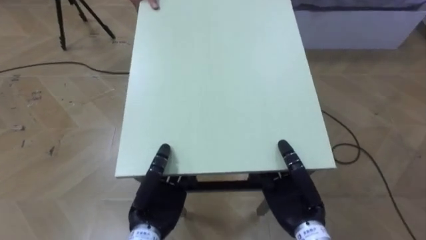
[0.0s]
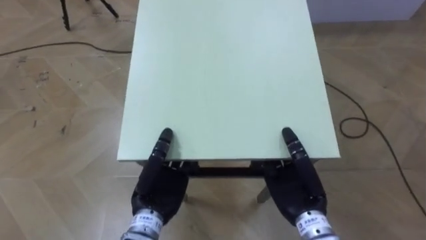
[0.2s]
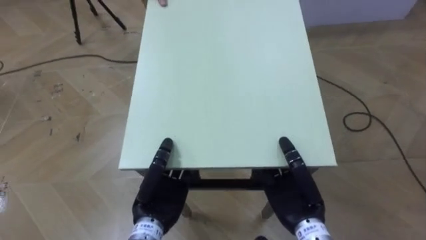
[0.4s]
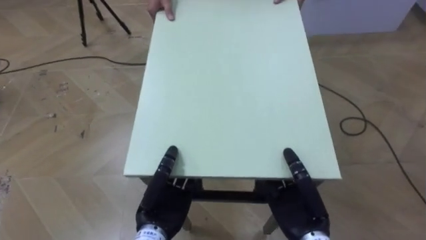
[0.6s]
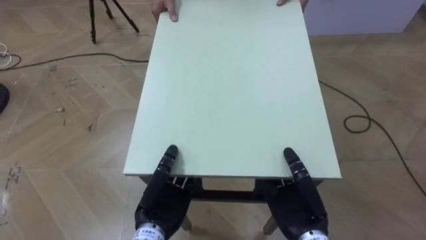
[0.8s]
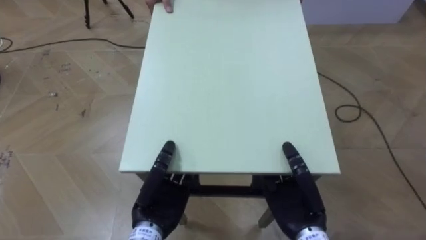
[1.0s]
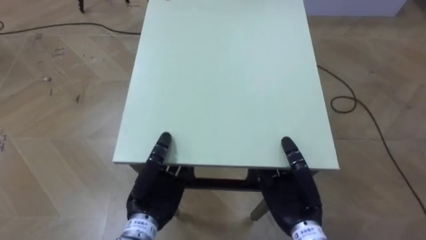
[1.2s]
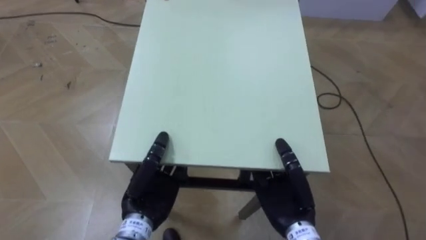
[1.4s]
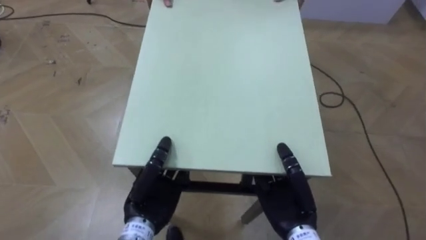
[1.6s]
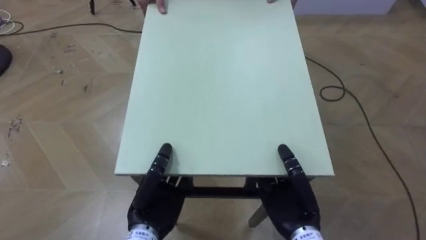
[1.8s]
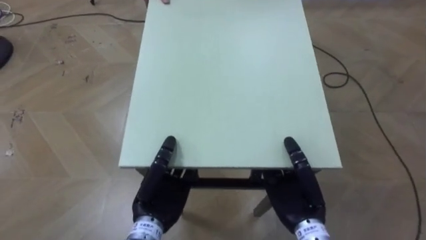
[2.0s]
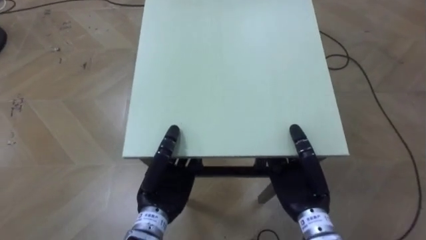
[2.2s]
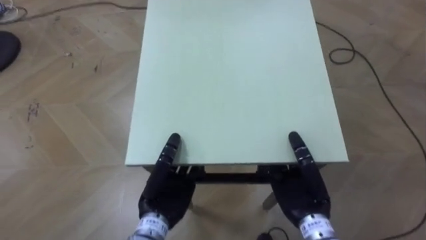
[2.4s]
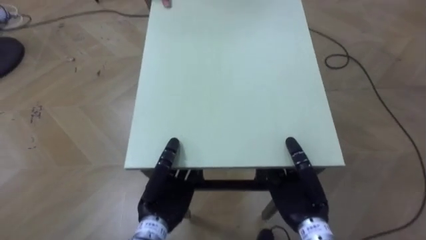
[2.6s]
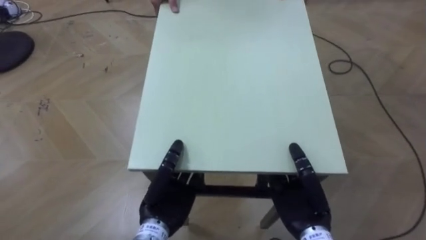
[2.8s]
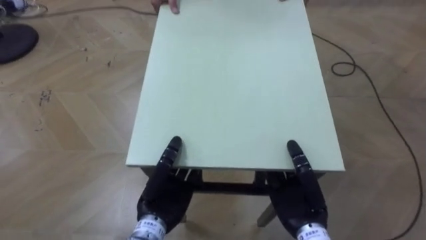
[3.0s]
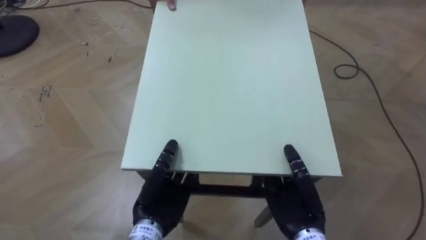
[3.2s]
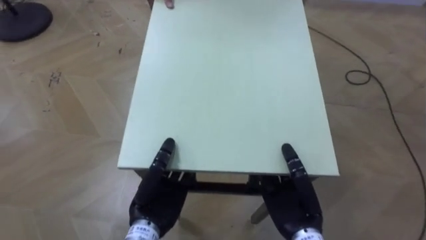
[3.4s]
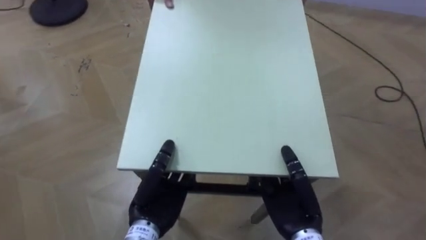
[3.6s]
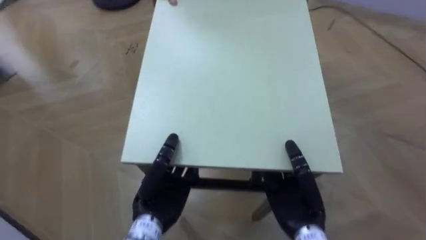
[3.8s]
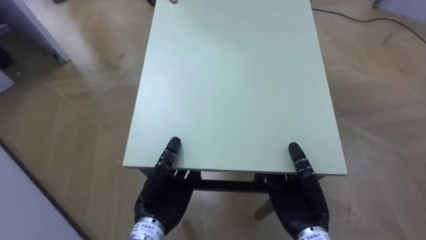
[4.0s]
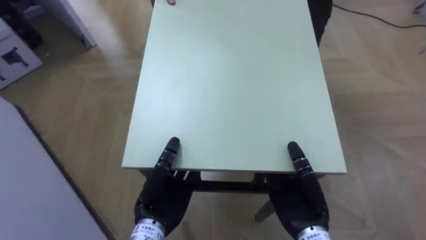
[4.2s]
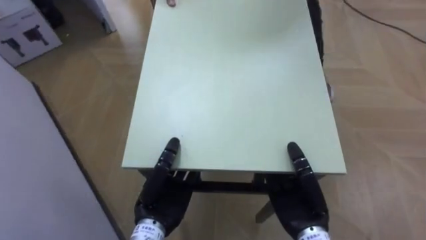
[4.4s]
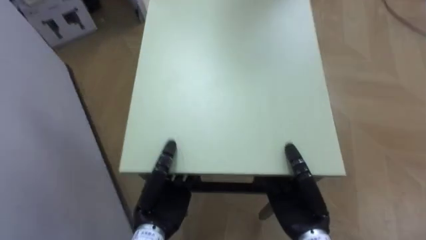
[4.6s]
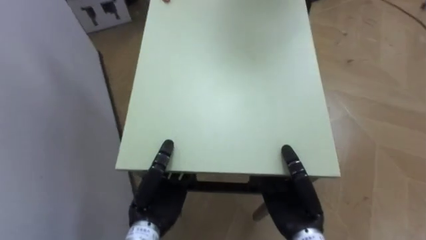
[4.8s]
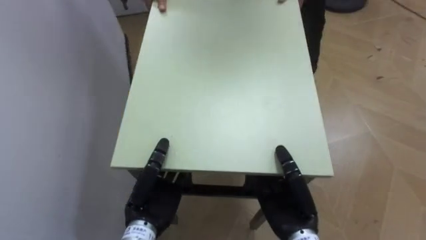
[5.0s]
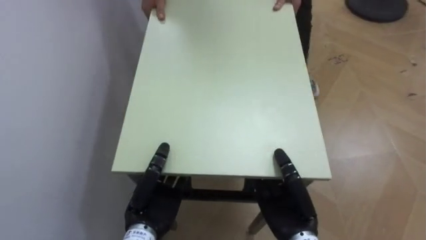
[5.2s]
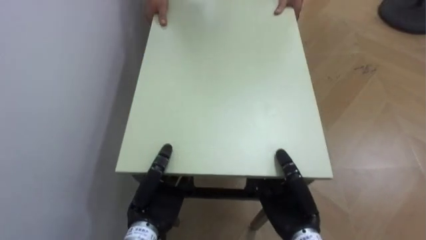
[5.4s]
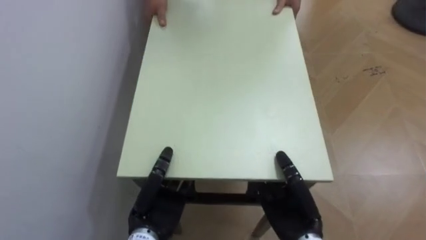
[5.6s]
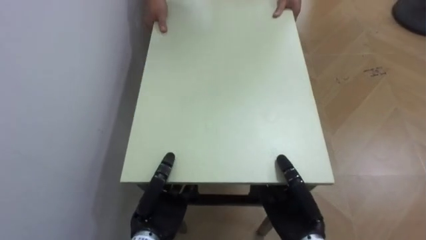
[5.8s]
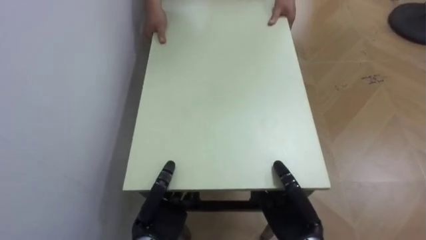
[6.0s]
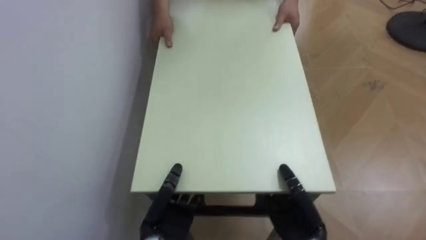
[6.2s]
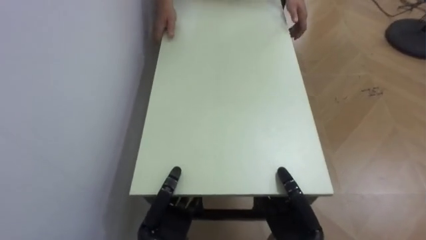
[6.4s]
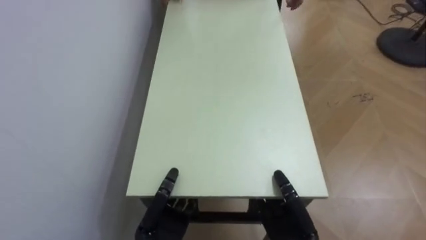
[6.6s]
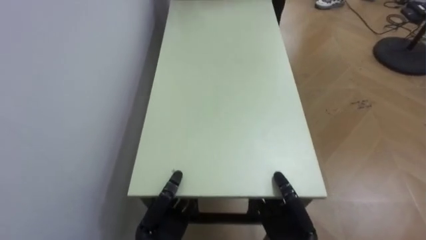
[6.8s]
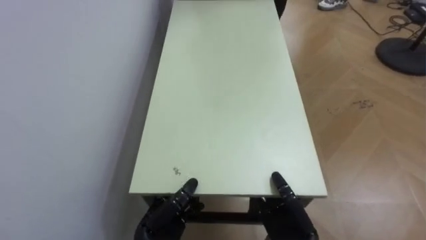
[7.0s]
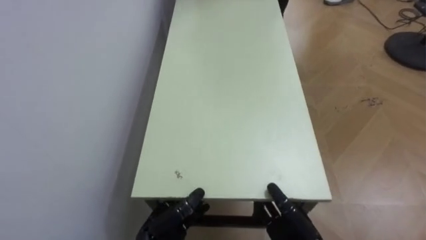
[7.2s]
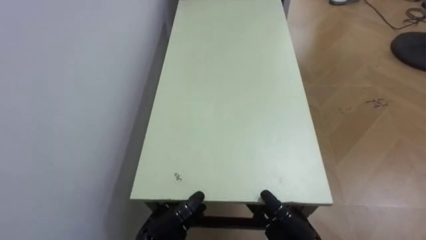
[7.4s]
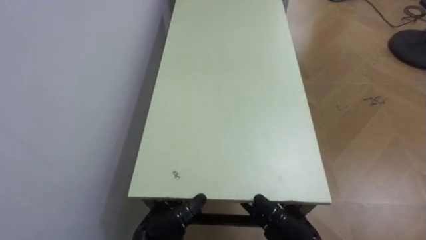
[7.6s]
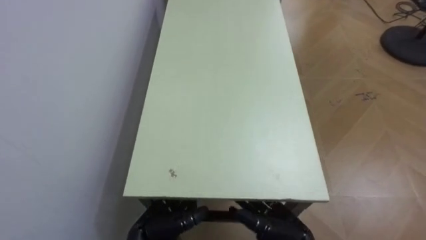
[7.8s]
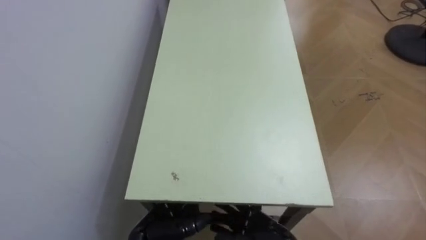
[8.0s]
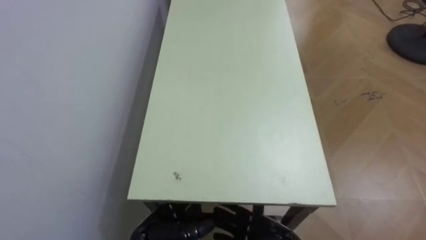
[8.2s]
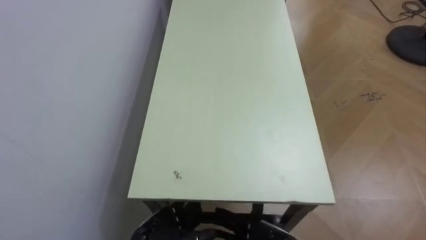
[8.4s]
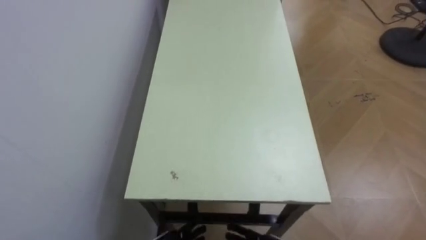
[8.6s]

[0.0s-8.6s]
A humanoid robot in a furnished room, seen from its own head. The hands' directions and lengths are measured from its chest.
Task of the whole recording: Move the table to the back left with someone.
2.8s to 4.4s: The robot turns to its left by about 45 degrees.
4.4s to 5.8s: The robot faces about 40 degrees further to its left.
5.8s to 7.2s: The hands both shift downward by roughly 5 cm. The right hand opens up; the left hand opens up.

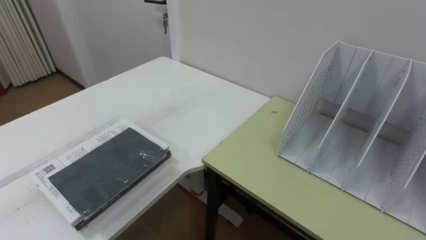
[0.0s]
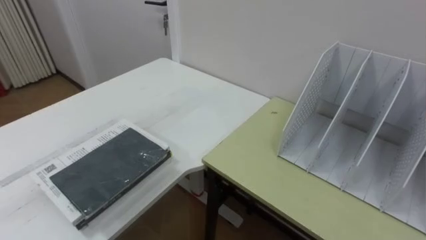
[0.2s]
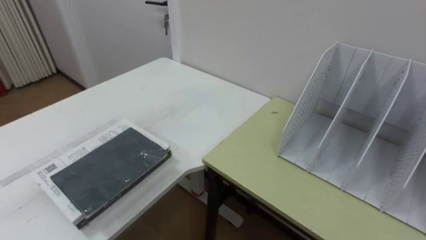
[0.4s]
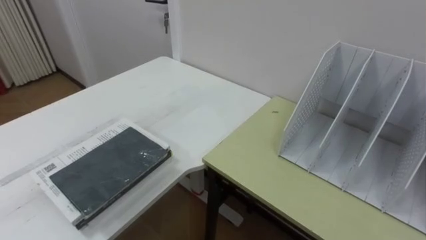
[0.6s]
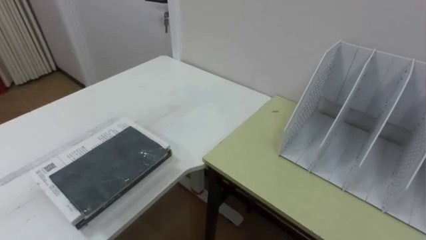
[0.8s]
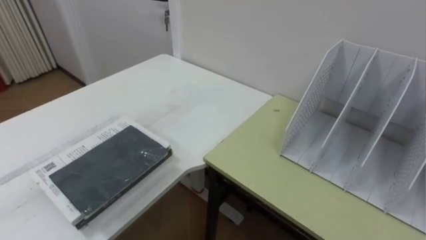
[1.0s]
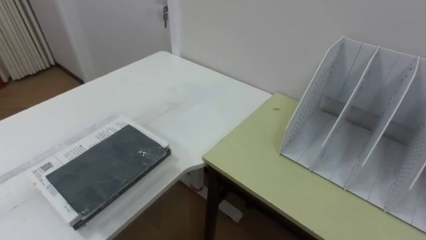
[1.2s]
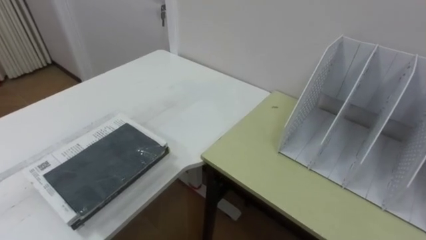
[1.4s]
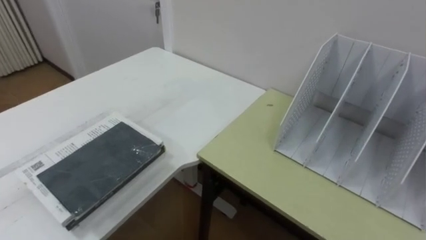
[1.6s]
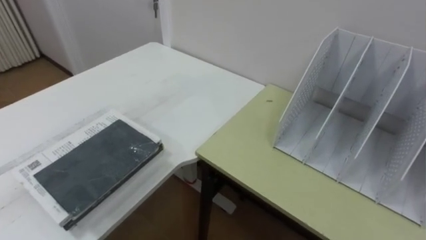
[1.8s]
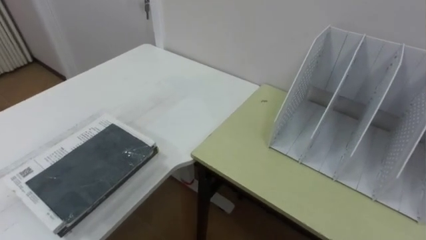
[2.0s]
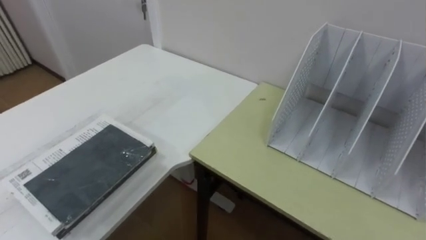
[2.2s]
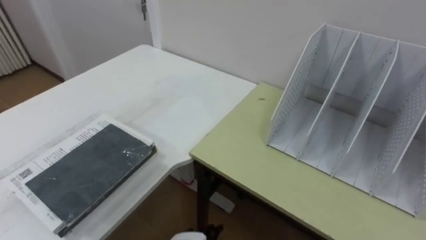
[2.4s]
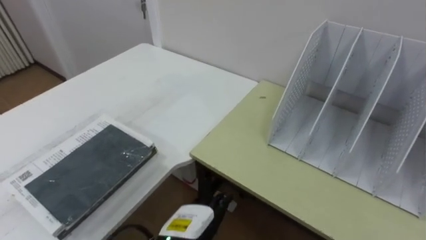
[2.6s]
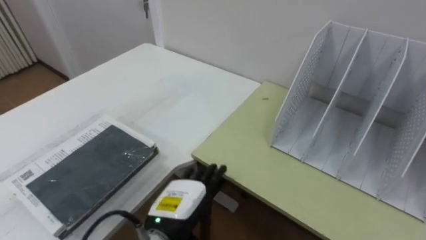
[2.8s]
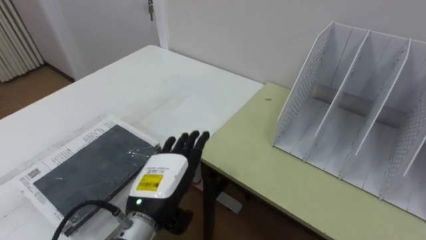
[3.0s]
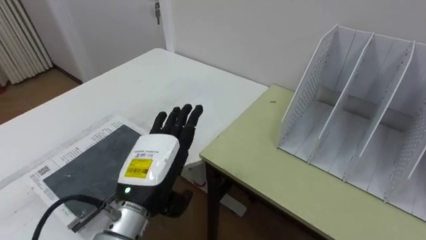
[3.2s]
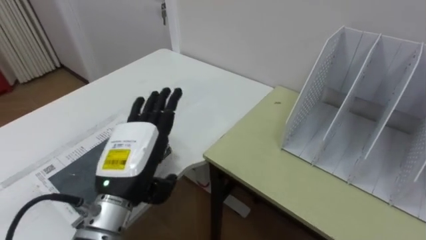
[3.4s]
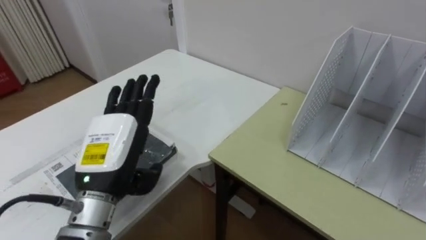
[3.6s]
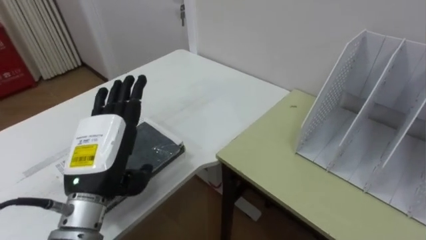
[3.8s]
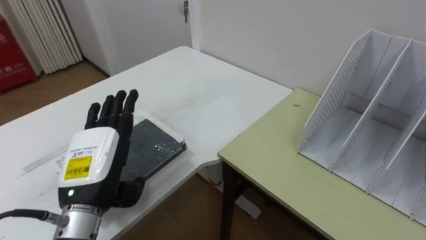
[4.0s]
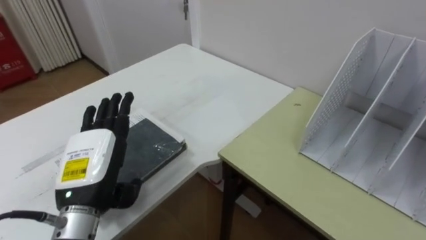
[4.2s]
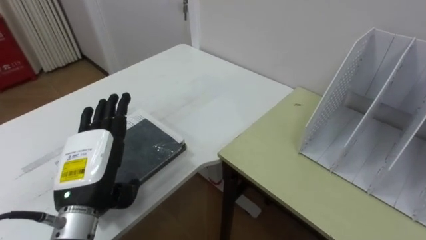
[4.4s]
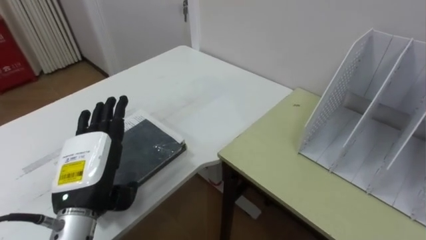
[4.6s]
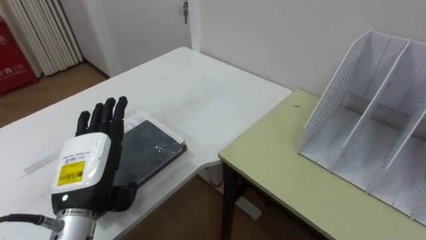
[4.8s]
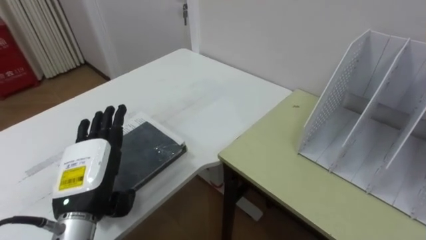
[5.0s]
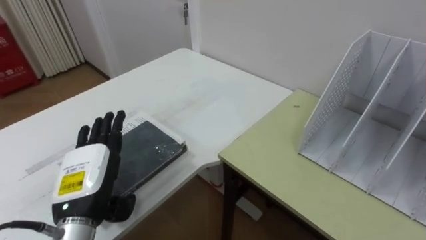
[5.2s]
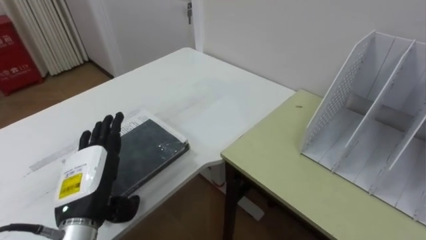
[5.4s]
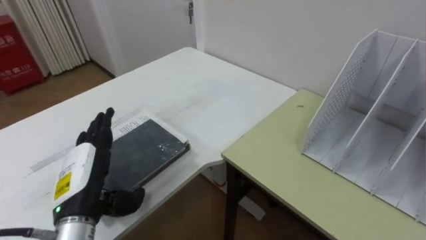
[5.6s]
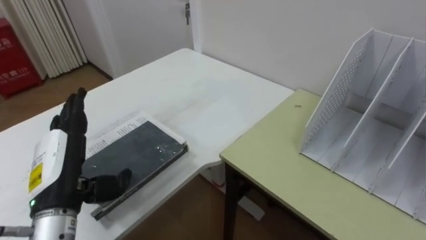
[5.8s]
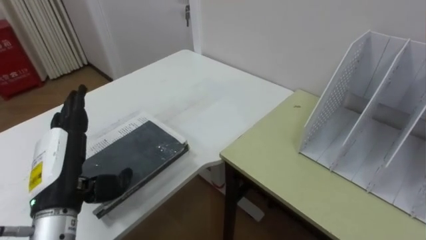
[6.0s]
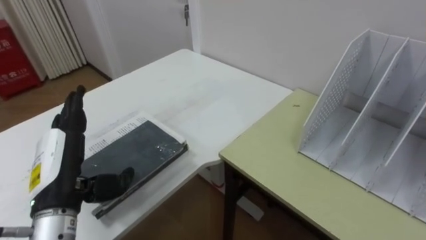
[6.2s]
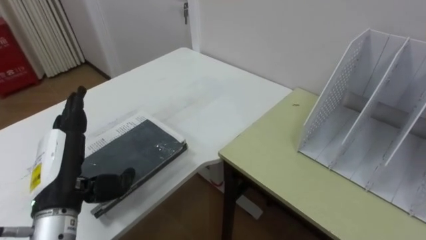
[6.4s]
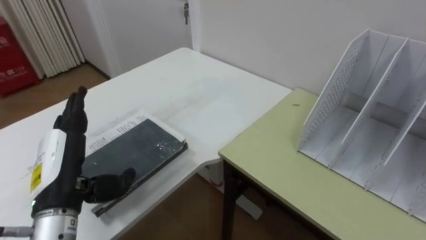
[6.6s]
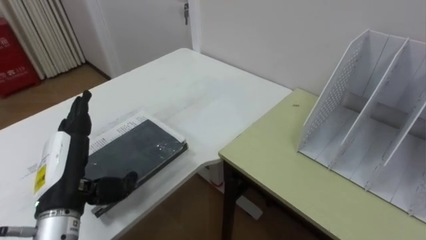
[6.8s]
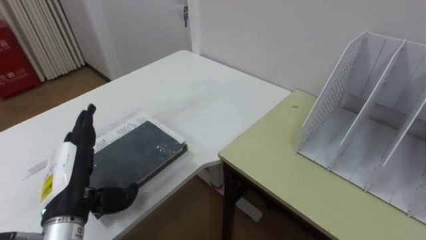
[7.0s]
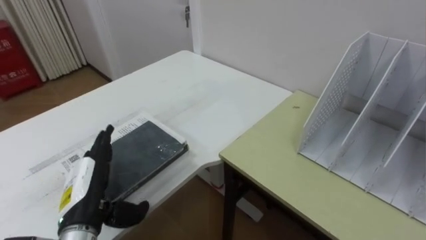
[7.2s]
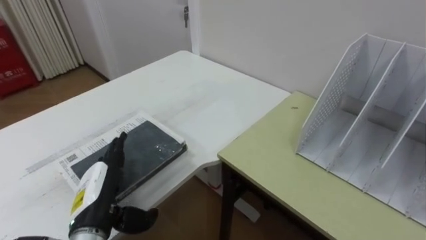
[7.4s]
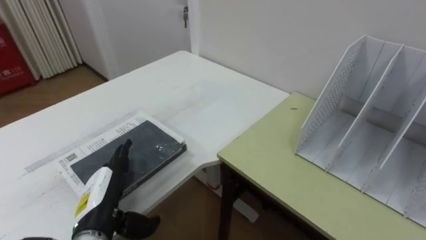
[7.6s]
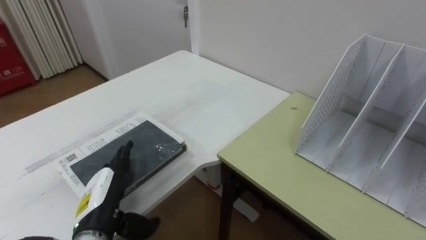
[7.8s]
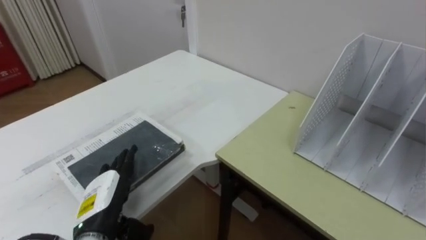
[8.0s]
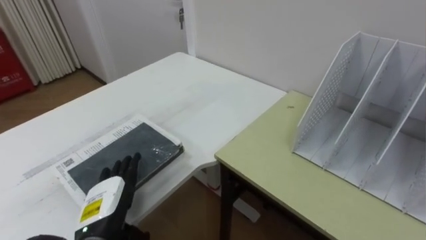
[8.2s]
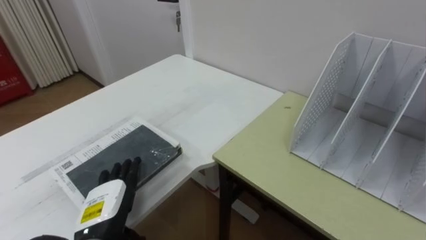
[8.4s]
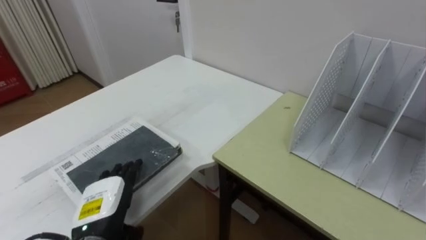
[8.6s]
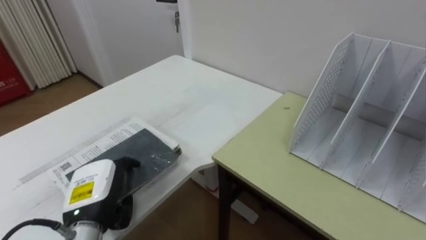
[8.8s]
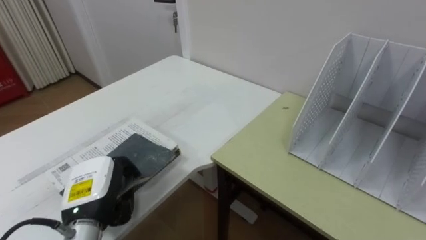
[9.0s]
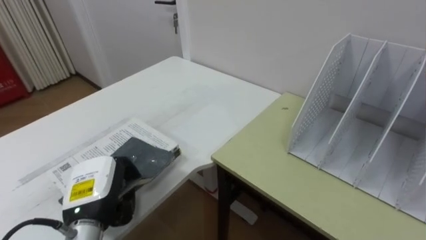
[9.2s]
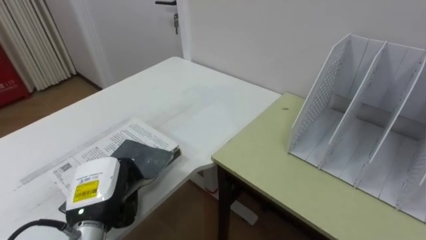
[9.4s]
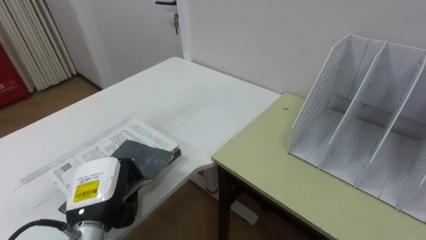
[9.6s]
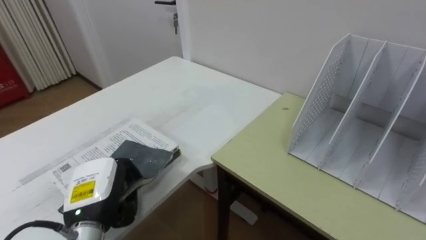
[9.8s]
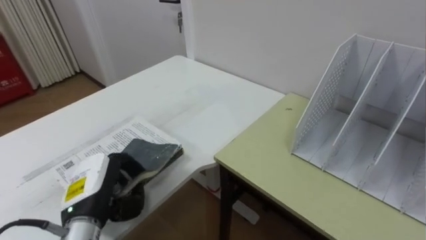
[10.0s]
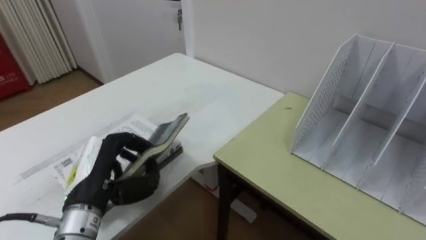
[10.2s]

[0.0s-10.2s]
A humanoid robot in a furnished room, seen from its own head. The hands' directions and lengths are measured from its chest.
Task of the whole recording: Put the books on the table onto the bookshelf.
3.0s to 4.4s: The left hand shifts approximately 10 cm to the left.
5.8s to 7.2s: The left hand is displaced downward by about 5 cm.
7.2s to 8.8s: The left hand closes up.
8.8s to 10.2s: The left hand goes some 5 cm upward.
